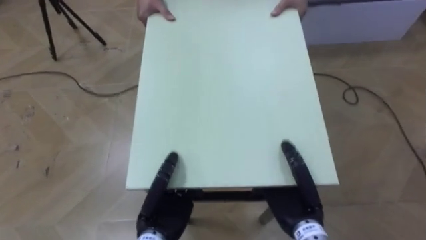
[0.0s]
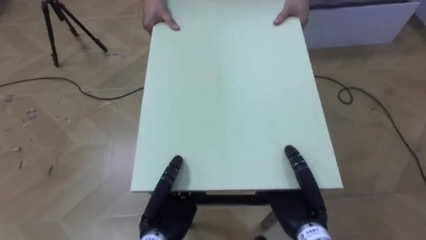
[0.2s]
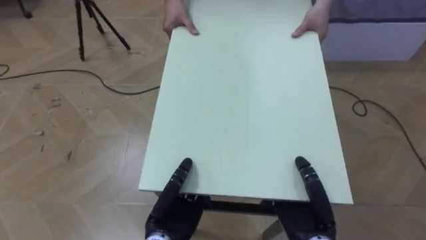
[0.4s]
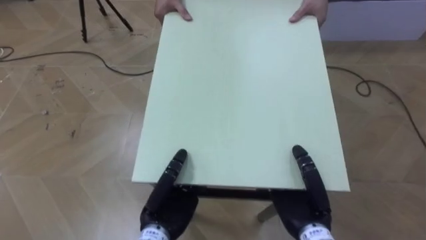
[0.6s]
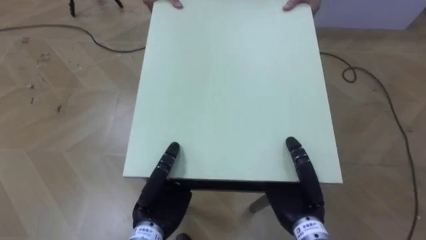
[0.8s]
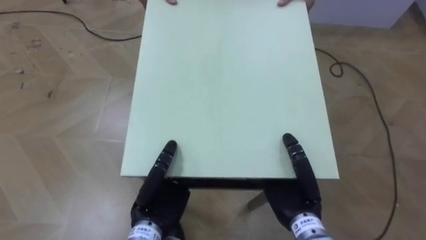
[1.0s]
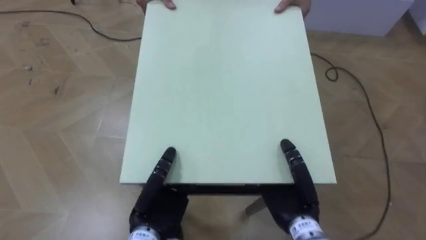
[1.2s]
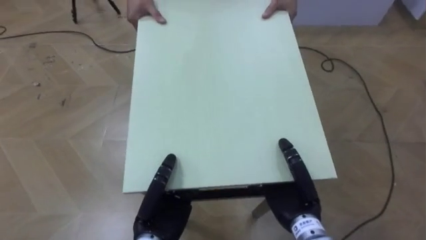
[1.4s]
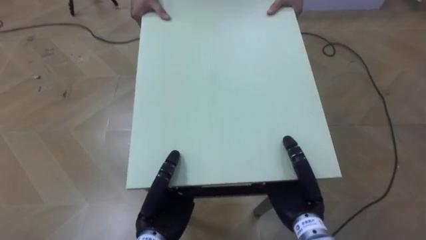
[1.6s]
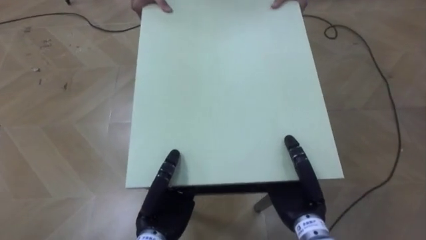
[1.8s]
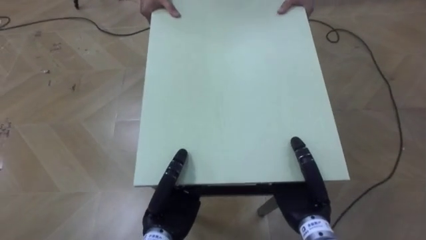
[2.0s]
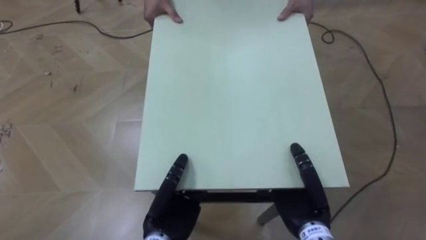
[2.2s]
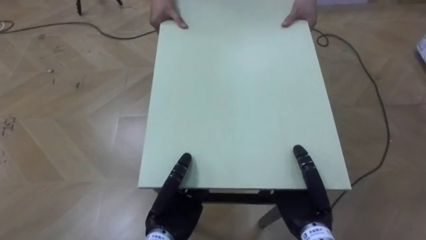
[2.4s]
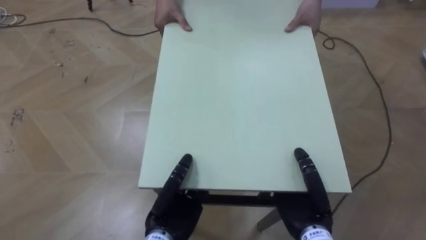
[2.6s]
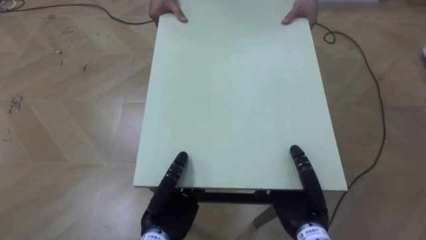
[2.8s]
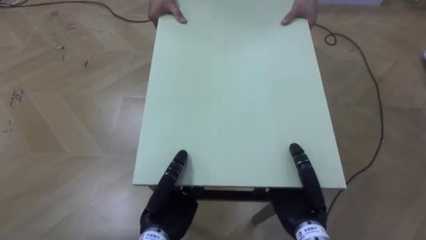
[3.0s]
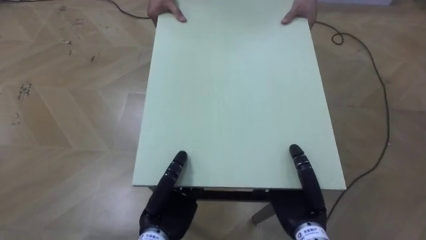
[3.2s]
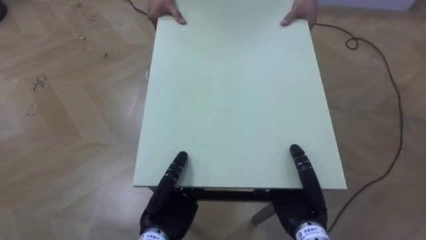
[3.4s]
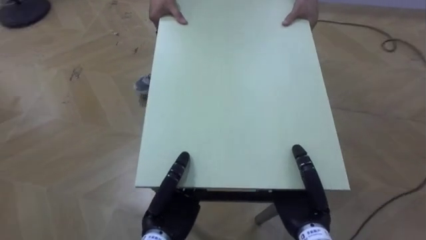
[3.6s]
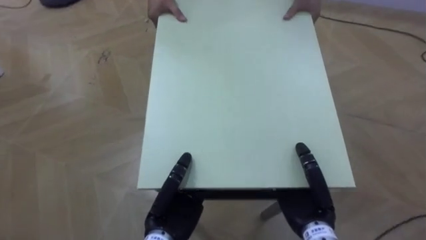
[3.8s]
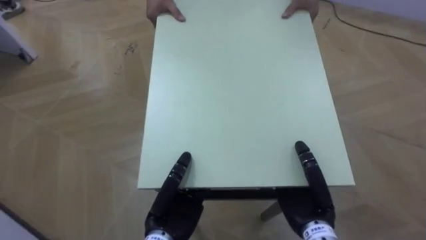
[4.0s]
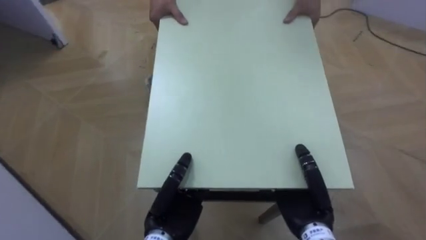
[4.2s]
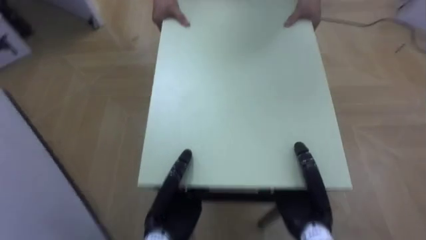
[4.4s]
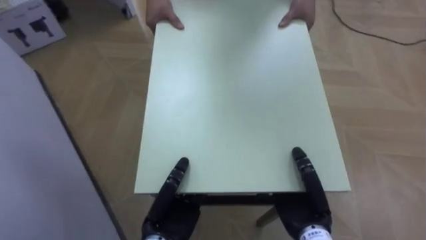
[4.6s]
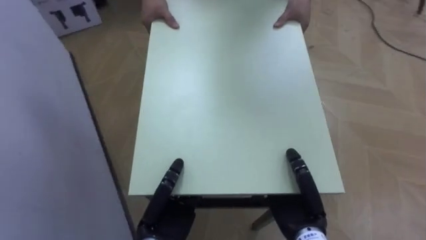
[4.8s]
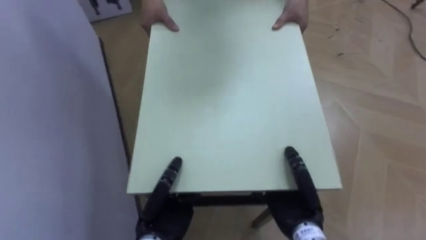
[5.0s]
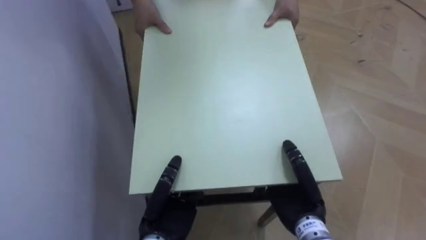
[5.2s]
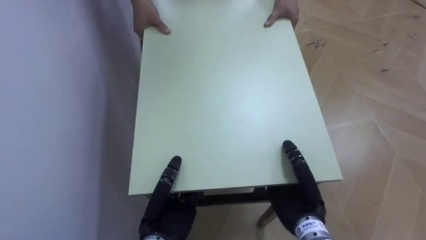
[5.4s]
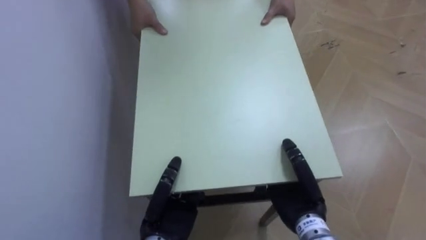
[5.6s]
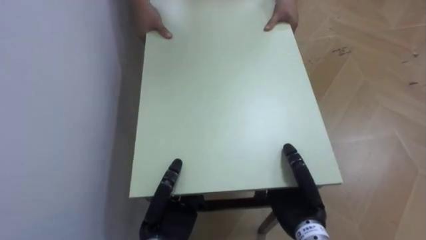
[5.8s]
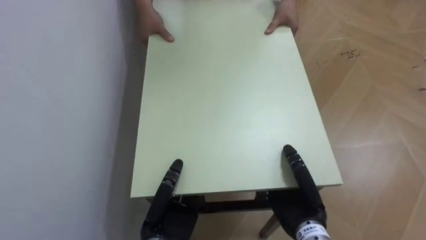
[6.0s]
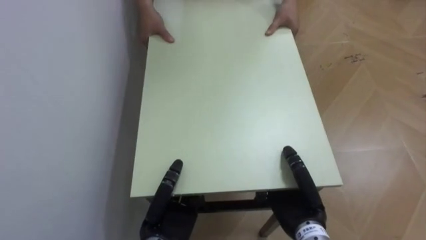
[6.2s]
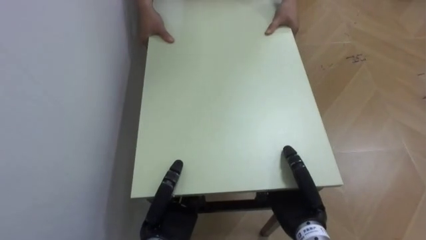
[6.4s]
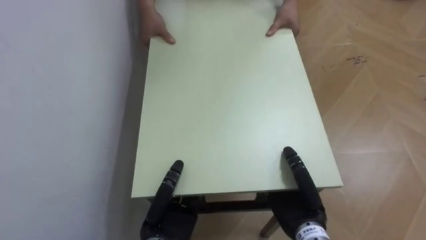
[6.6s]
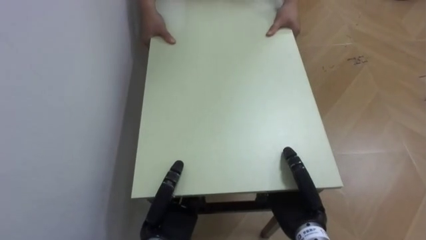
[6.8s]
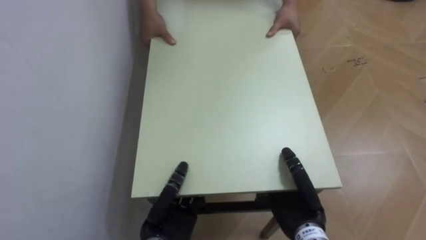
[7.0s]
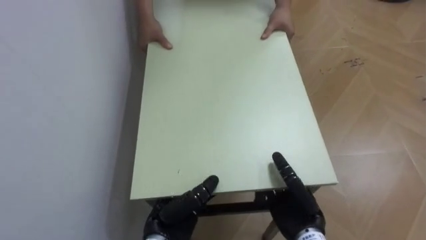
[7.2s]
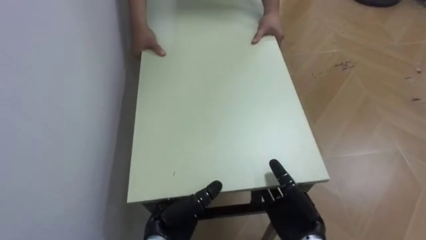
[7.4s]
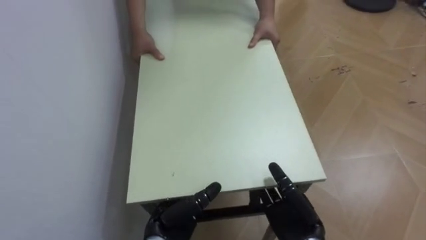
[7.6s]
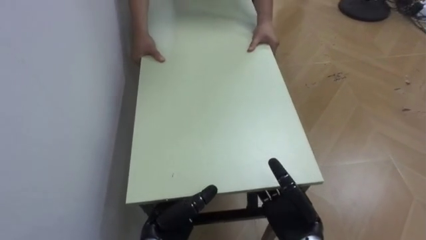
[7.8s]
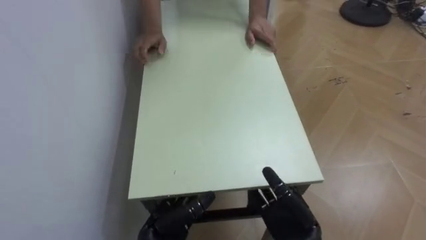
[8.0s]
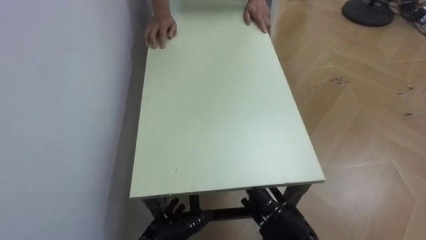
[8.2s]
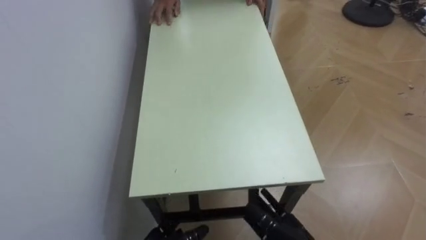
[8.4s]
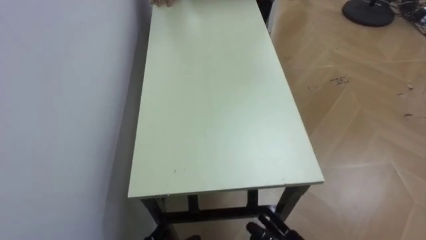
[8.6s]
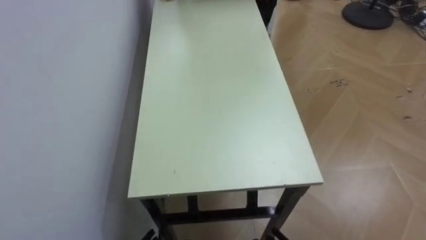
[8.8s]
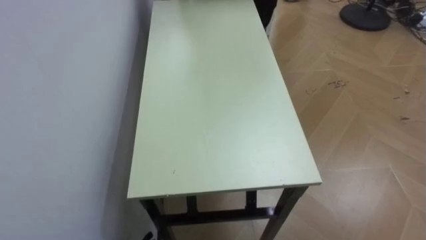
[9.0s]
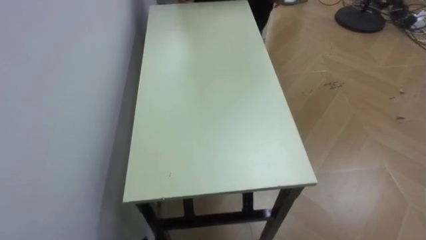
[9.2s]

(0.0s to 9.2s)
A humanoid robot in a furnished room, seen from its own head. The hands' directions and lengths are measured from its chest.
Task of the whole recording: Move the table to the back left with someone.
3.0s - 4.6s: The robot rotates some 50 degrees to its left.
4.6s - 6.2s: The robot rotates roughly 35 degrees to its left.
6.2s - 7.6s: The left hand opens up, while the right hand opens.

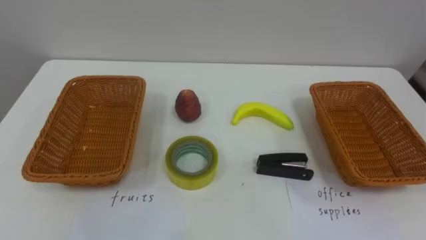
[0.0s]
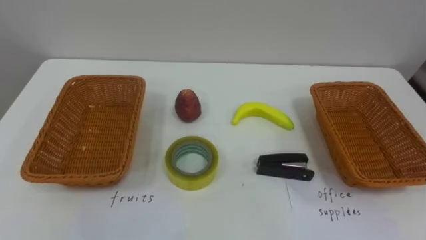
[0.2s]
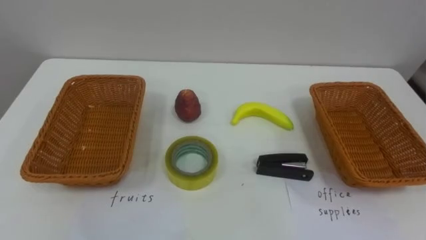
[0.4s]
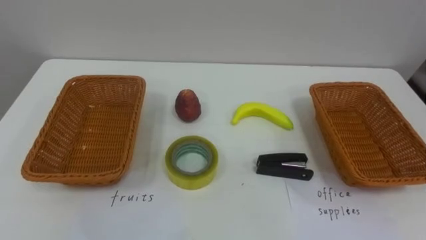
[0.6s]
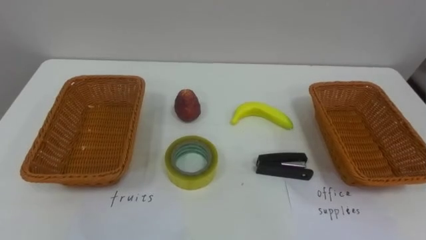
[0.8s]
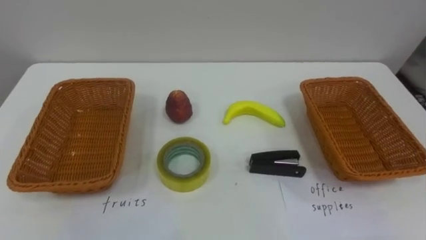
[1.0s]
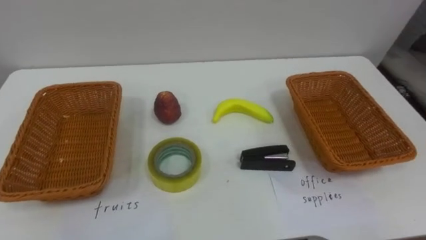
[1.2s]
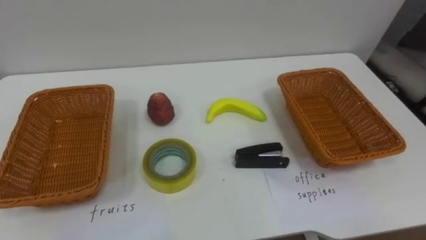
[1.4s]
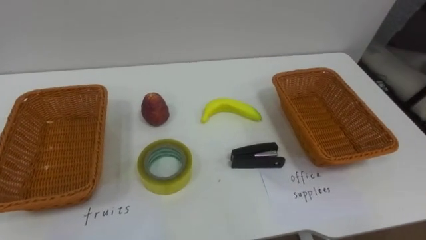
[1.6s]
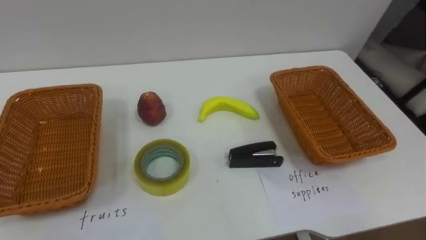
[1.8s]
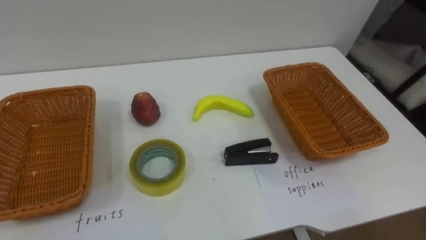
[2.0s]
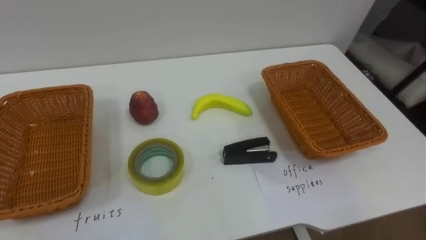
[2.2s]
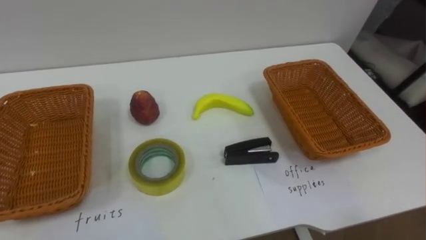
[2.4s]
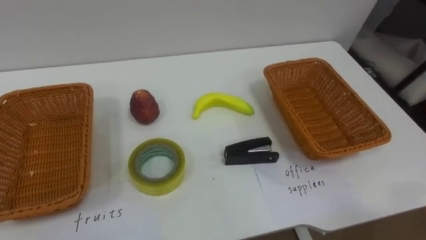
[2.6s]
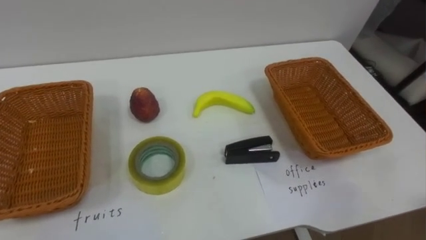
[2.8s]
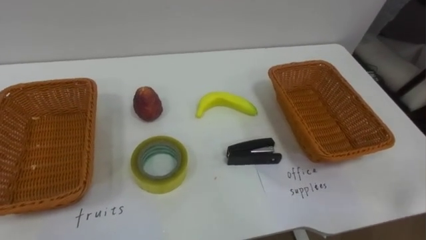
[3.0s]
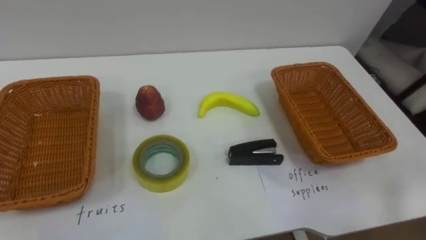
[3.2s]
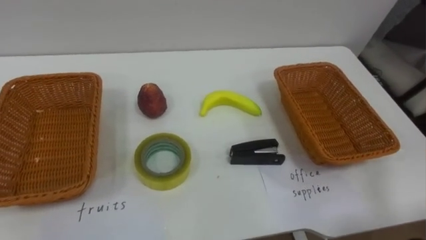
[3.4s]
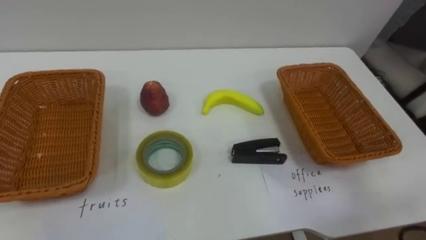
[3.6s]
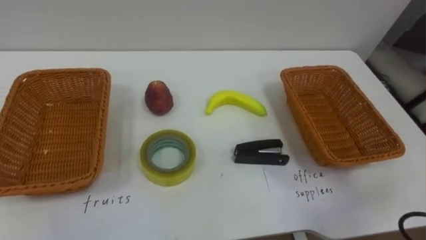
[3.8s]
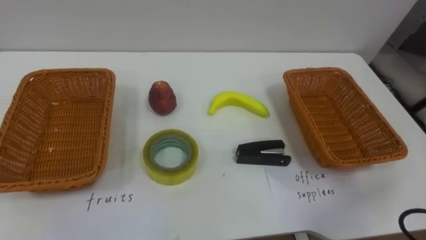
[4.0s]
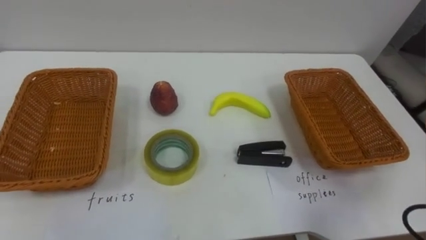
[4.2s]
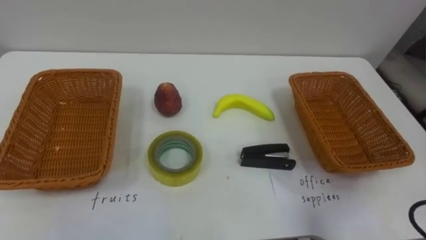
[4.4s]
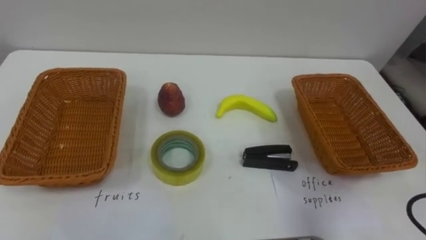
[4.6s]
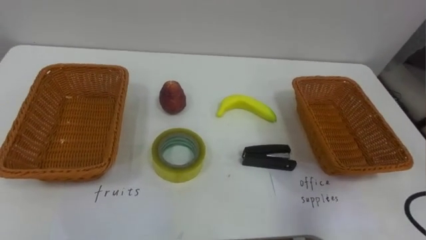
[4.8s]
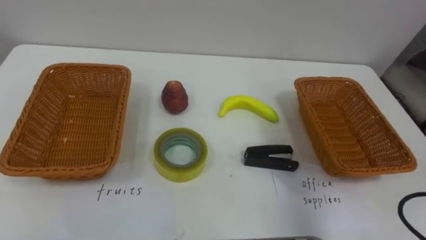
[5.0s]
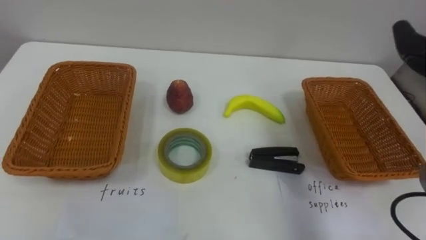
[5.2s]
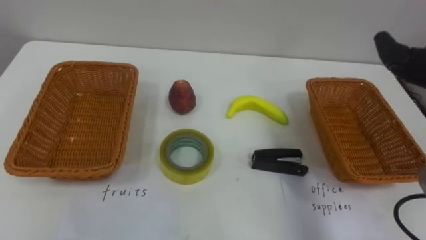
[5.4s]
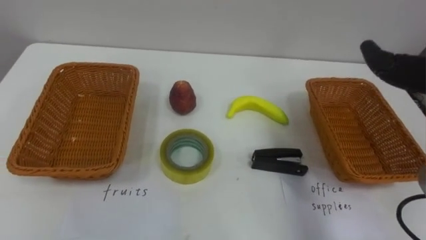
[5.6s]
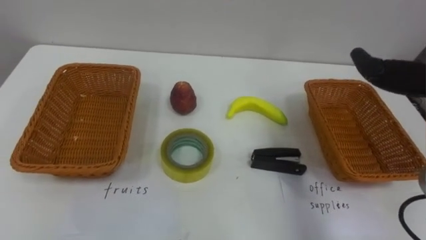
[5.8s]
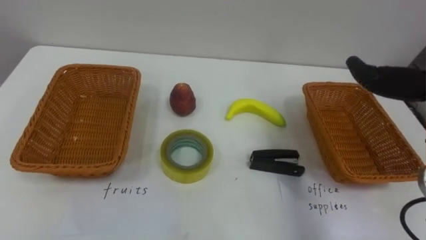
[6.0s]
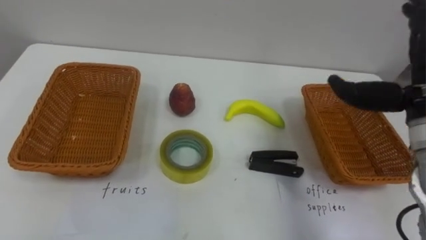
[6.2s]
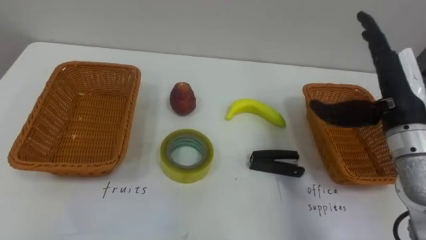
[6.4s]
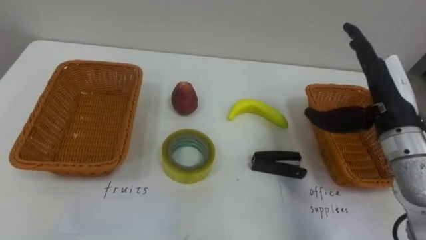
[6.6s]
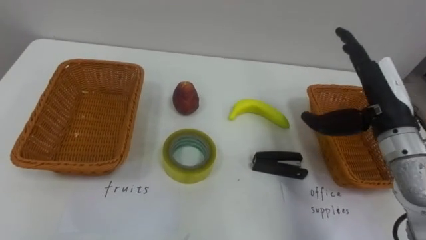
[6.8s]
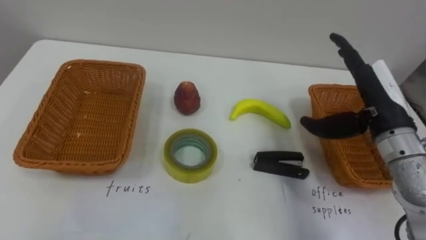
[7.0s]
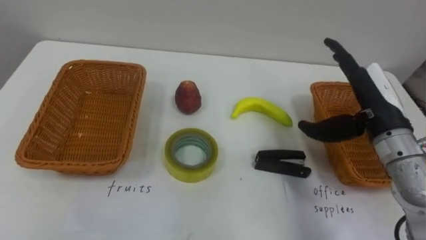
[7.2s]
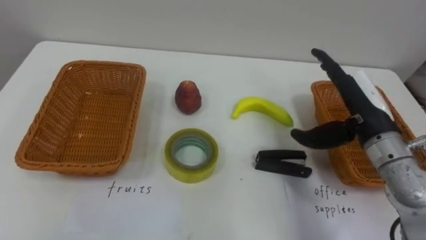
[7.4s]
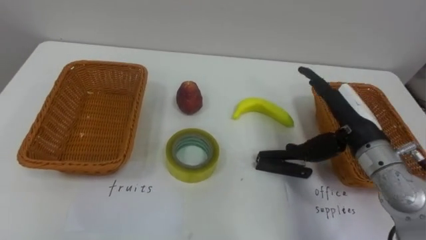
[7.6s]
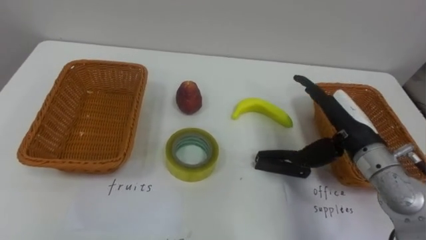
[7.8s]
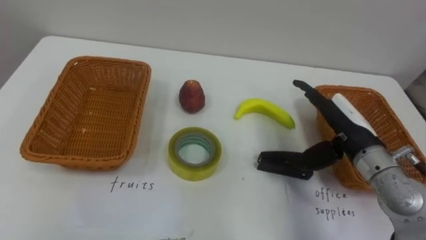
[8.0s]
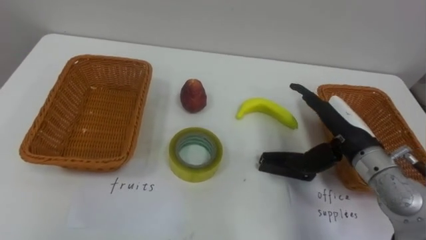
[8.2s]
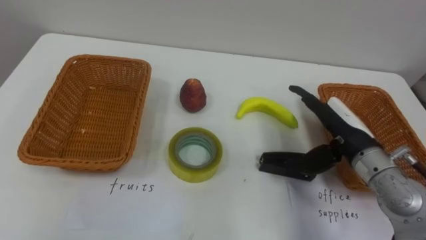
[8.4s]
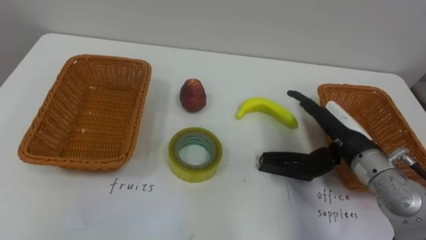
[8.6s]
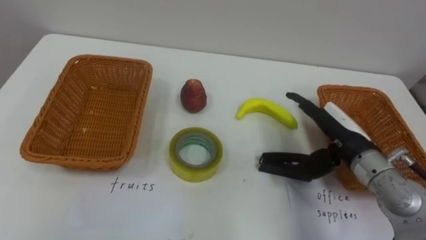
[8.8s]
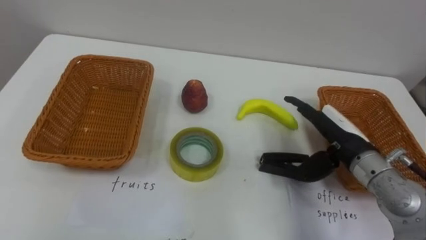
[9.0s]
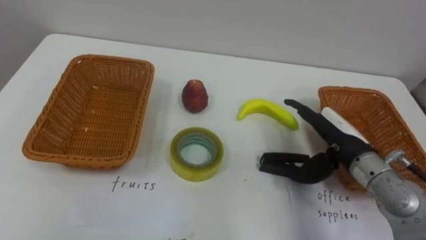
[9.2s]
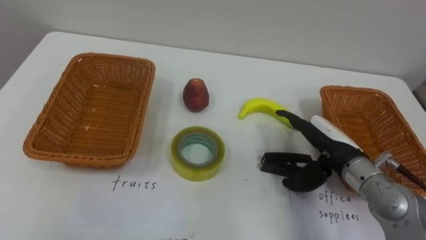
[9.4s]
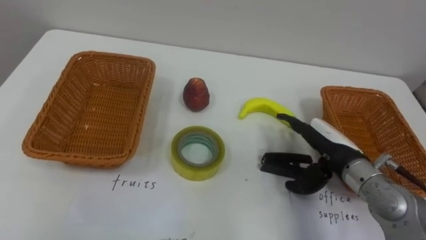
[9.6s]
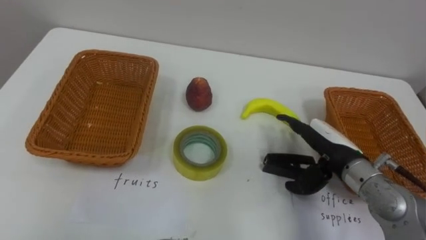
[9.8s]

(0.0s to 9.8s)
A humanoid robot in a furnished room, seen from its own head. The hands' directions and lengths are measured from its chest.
Task of the whole recording: Separate the items on the table and place them into the two baskets.
7.0s - 8.4s: The right hand travels downward by approximately 5 cm.
